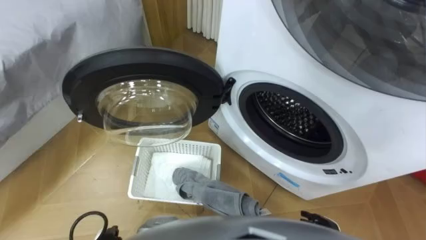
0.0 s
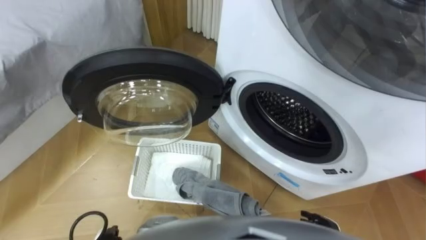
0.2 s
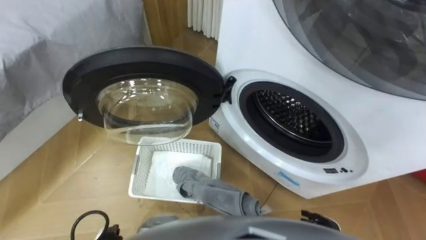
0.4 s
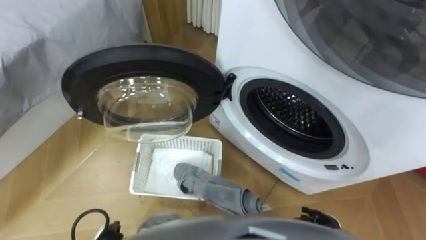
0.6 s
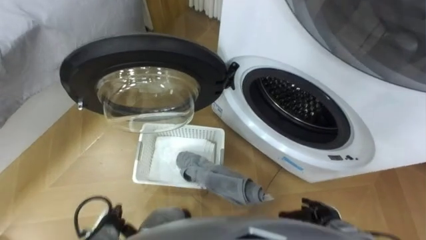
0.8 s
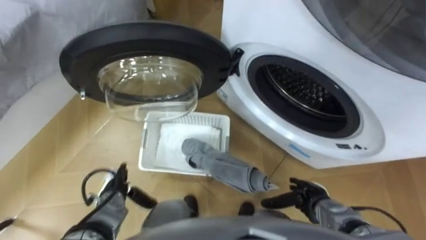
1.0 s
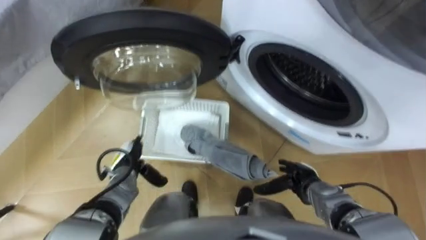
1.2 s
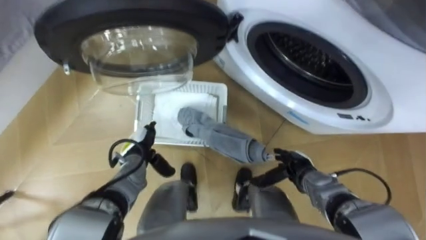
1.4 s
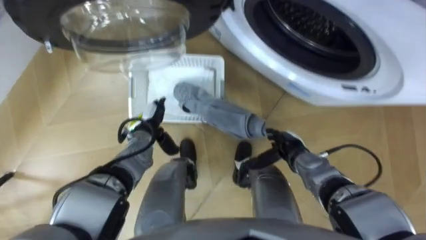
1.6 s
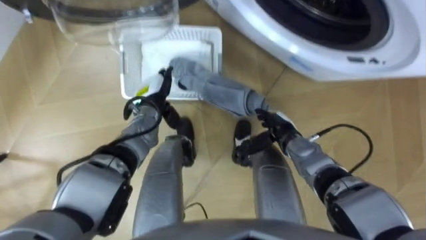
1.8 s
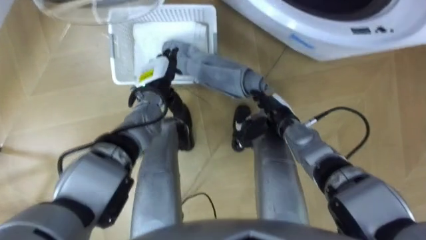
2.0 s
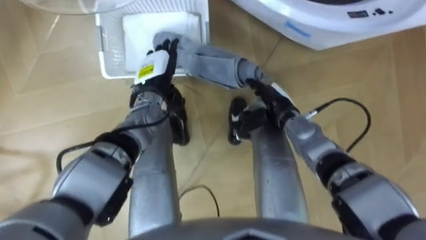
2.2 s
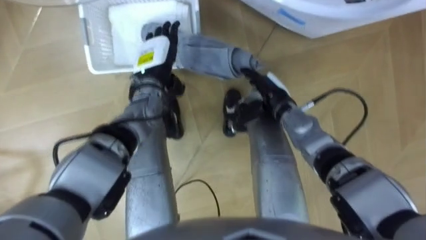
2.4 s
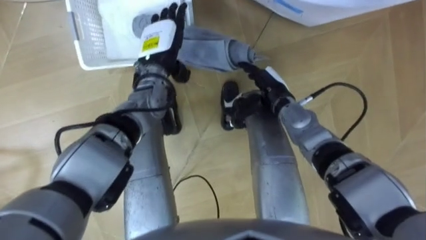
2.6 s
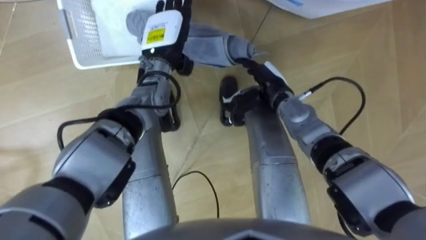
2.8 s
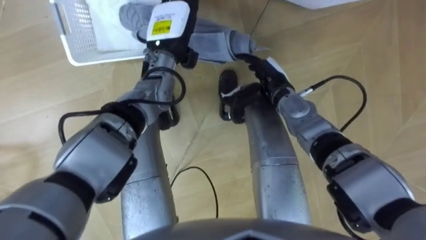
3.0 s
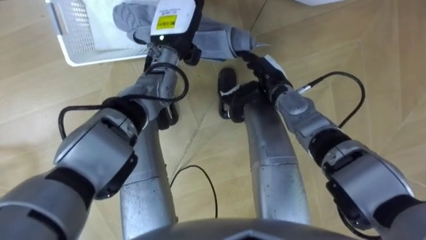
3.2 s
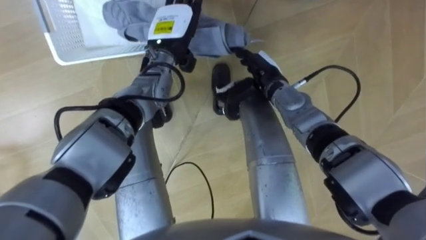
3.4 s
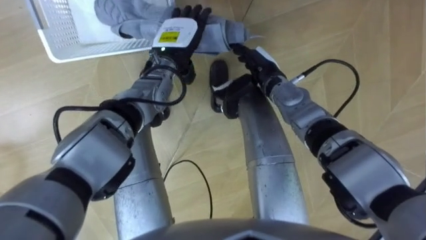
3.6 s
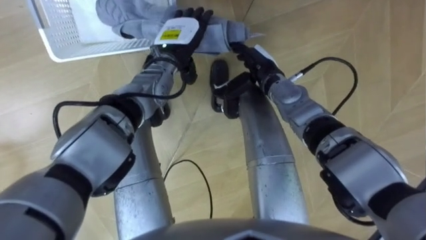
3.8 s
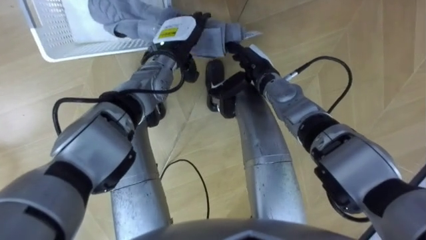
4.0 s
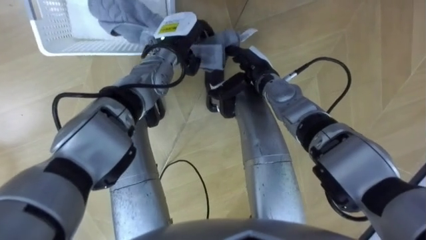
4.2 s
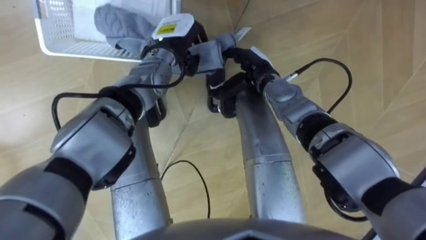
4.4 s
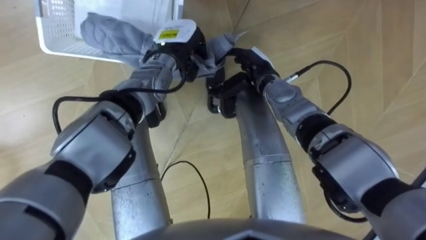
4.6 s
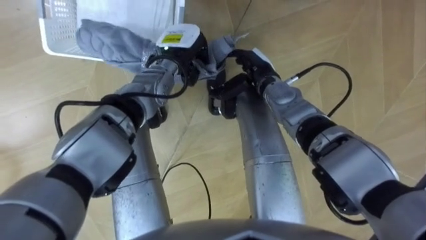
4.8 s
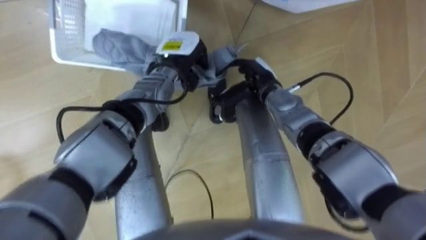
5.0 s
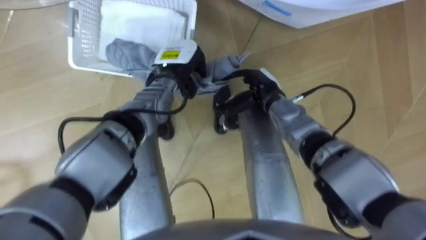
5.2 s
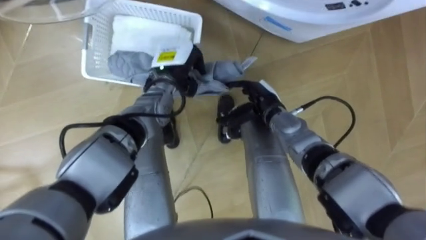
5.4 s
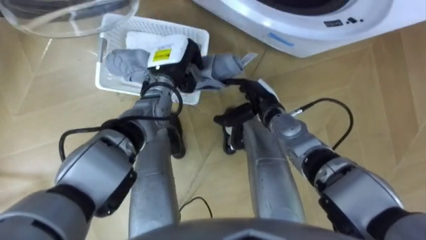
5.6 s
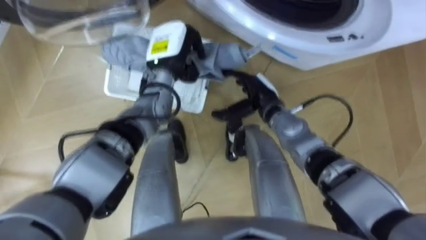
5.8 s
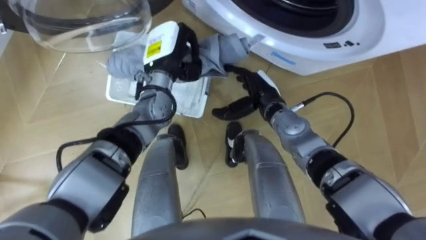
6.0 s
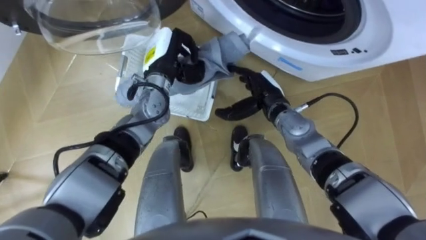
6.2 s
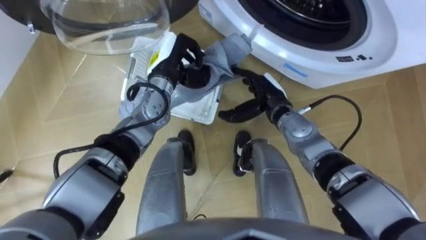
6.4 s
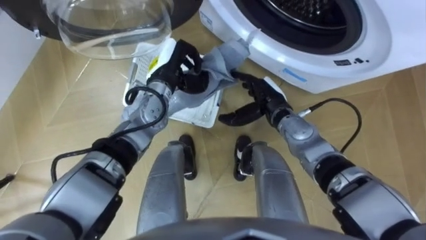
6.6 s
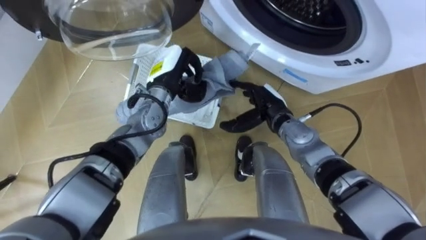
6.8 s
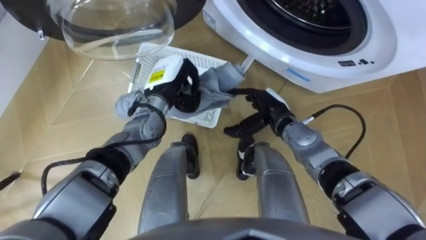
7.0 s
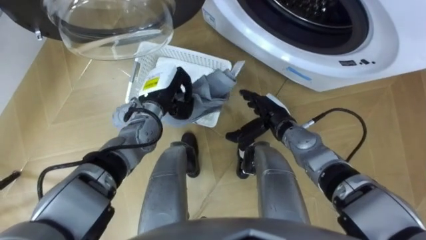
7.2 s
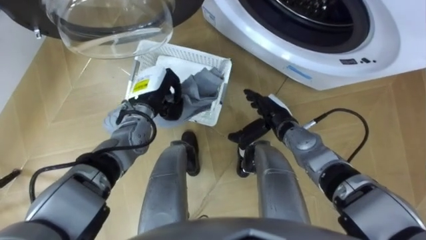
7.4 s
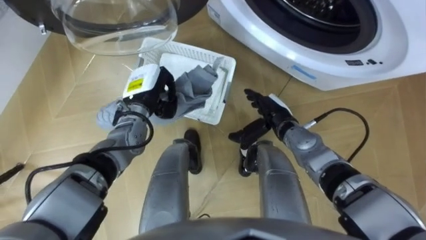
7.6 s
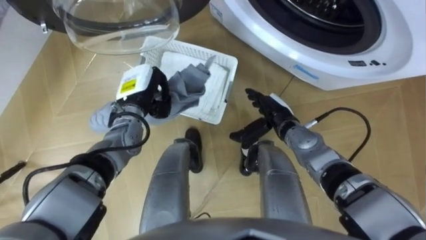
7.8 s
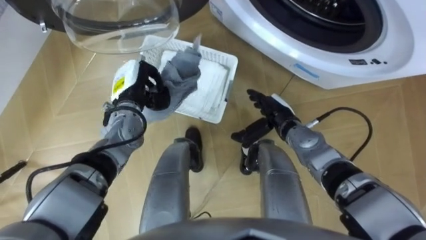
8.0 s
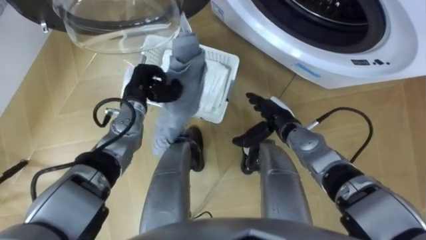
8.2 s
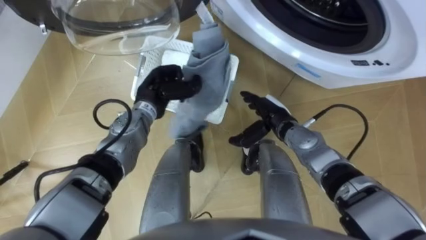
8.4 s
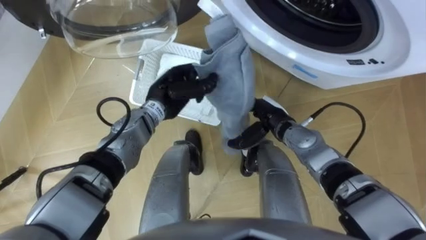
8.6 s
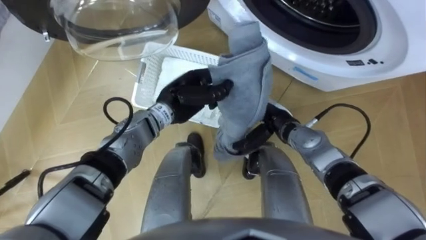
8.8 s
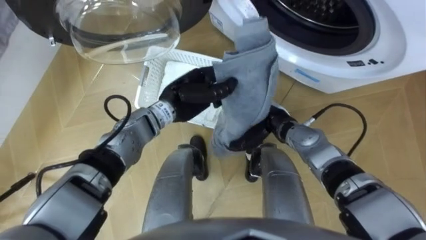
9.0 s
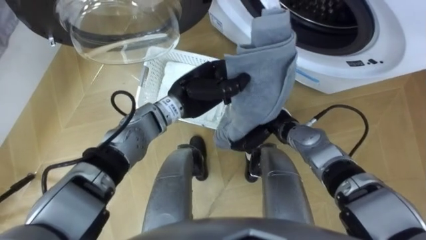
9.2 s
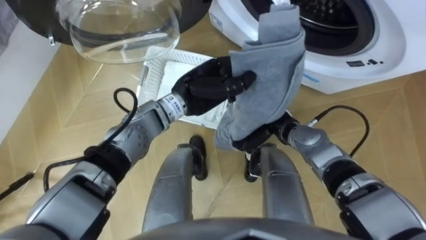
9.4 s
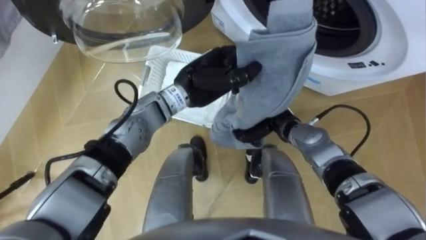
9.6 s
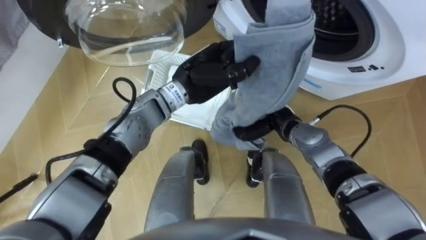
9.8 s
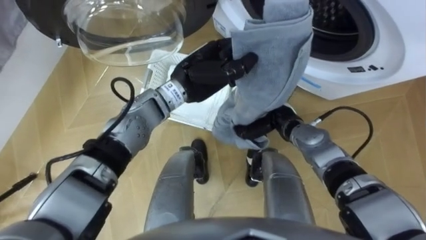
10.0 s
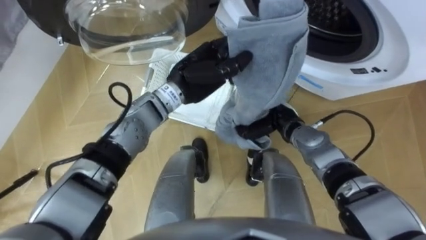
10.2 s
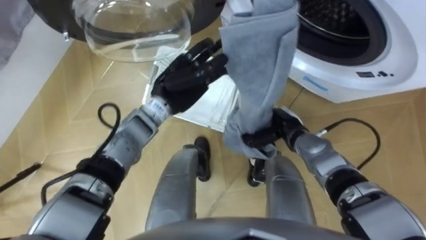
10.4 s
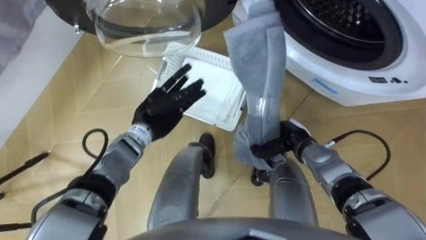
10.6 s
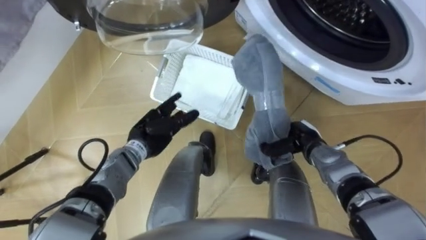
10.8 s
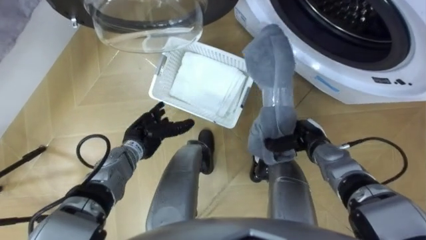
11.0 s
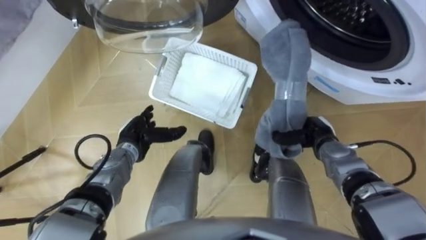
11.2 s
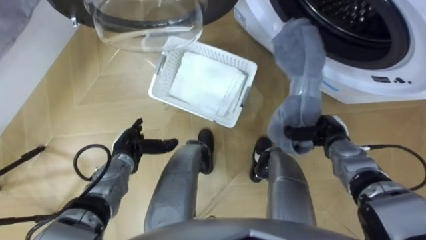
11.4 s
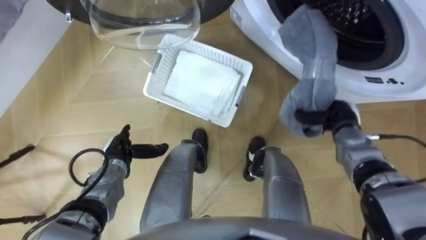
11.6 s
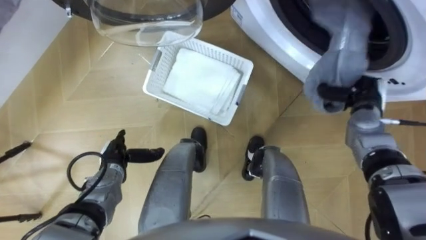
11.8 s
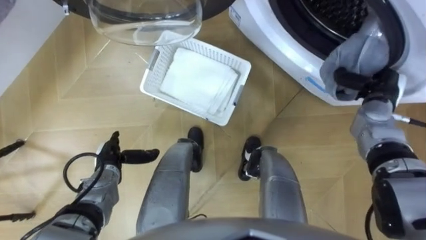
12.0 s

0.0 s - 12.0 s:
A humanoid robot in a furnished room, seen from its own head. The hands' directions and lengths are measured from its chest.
Task of the whole recording: Take the towel from the basket and put it into the washing machine.
1.6 s - 3.0 s: The left hand heads upward, forward and to the right, covering roughly 20 cm; the right hand travels forward, upward and to the left by about 20 cm.
3.0 s - 4.4 s: The left hand closes its fingers.
4.4 s - 6.0 s: The right hand shifts by some 5 cm.
6.0 s - 7.6 s: The right hand changes place by roughly 5 cm. The left hand goes some 10 cm downward and to the left.
7.6 s - 9.0 s: The left hand moves to the right, about 10 cm.
9.0 s - 10.4 s: The right hand closes up, while the left hand opens.
10.4 s - 12.0 s: The left hand goes approximately 25 cm to the left, downward and backward, and opens up. The right hand heads to the right and upward, covering some 20 cm.

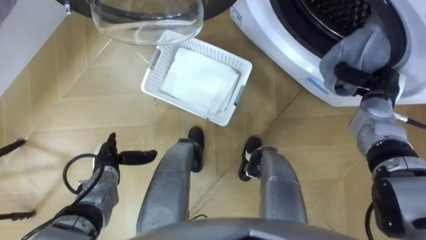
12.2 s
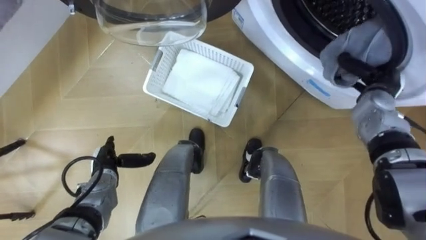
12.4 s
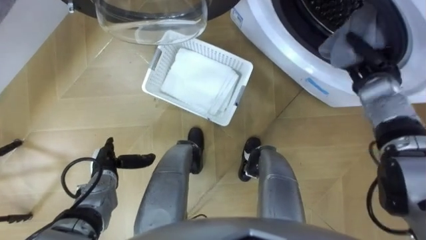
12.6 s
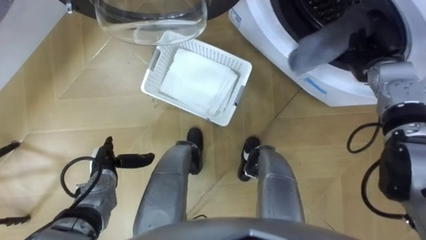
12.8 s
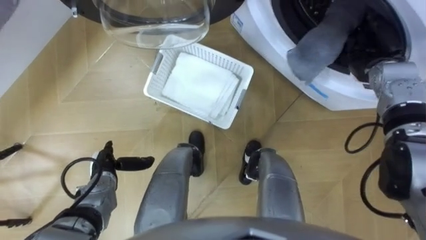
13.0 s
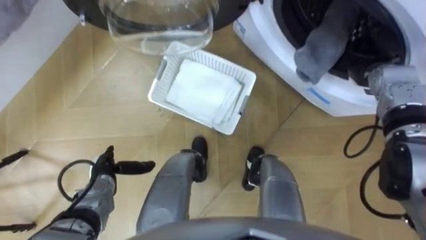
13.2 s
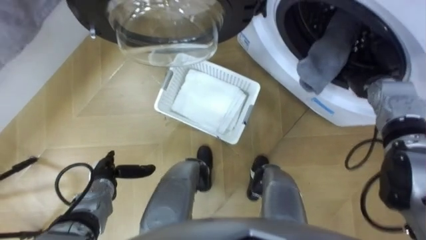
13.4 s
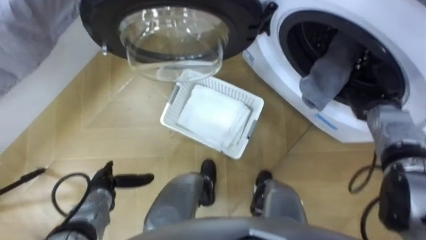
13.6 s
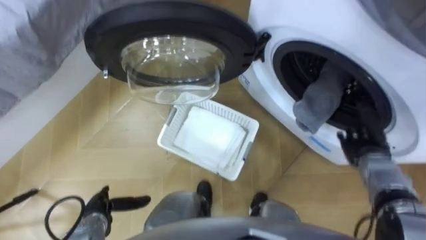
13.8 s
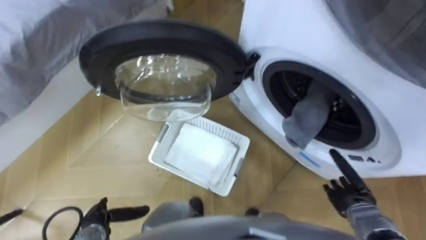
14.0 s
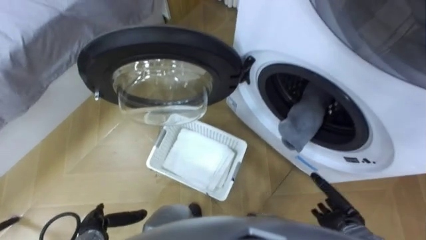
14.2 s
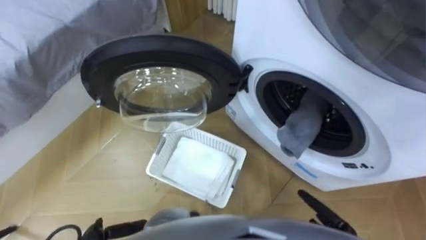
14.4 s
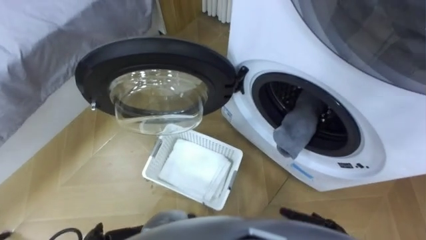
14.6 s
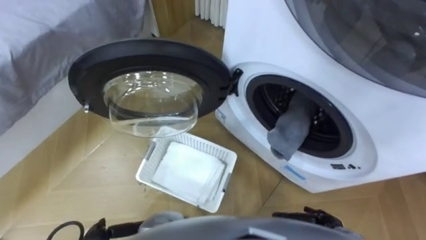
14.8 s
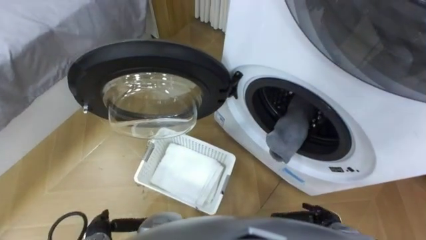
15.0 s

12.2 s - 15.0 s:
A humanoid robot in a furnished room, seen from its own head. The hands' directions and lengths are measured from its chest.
Task of the whole recording: Take the towel from the basket and put it into the washing machine.
12.2 s - 13.6 s: The right hand opens; the left hand heads backward, covering some 5 cm.
13.6 s - 15.0 s: The right hand moves backward and downward, about 30 cm.

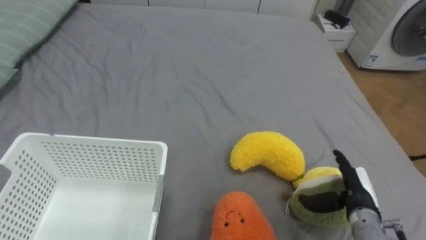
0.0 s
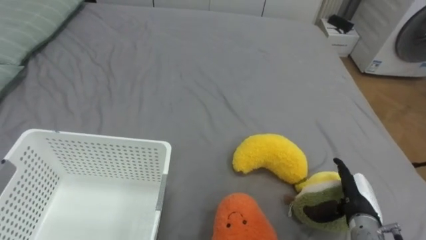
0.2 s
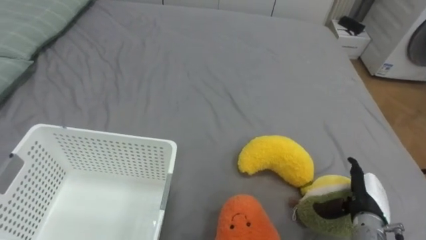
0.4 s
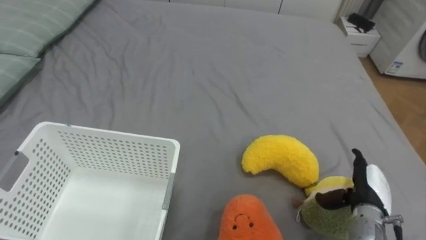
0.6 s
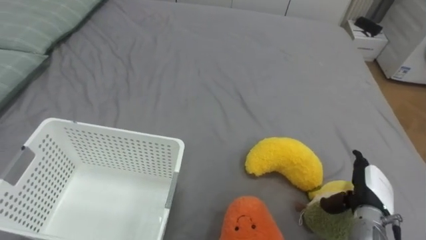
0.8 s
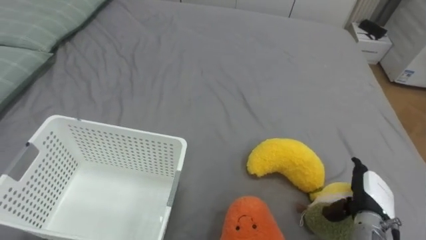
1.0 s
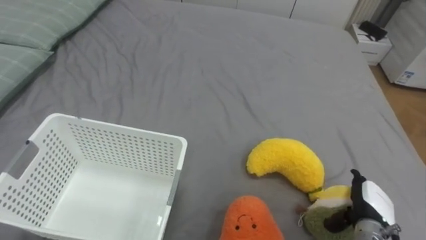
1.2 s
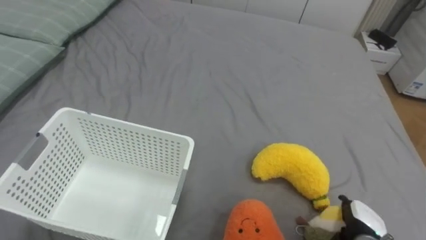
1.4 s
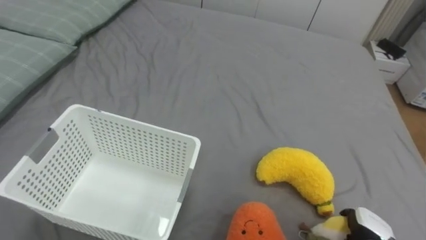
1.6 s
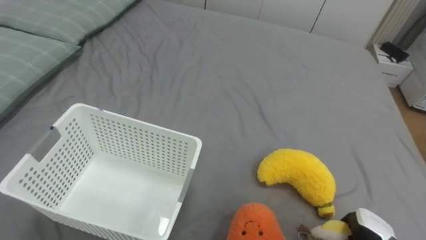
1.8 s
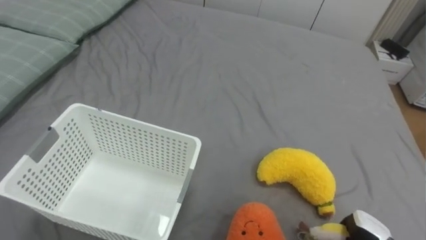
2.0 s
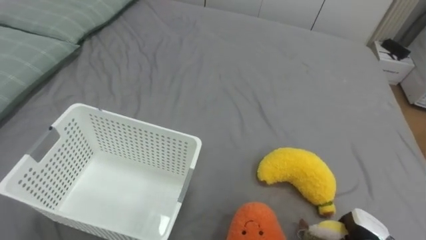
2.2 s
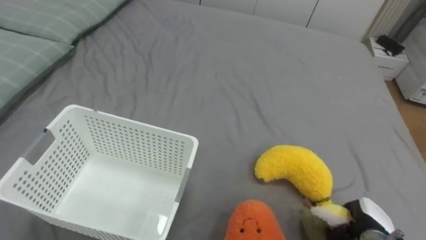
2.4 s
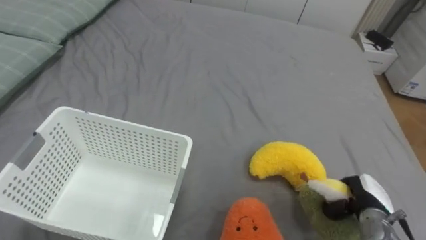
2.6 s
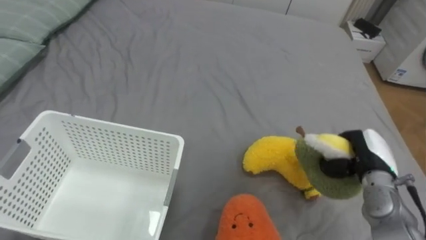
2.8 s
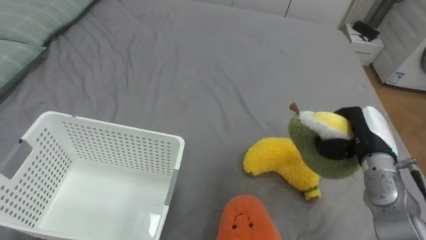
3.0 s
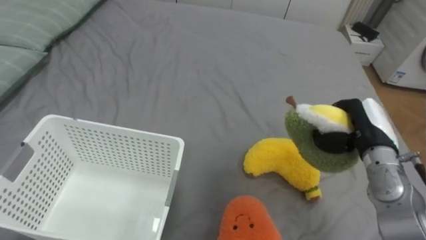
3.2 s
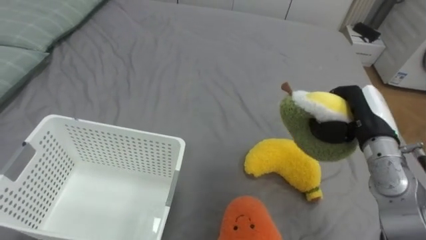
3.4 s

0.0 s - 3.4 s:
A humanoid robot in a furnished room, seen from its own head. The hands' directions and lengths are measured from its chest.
Task of the whole recording: Put the toys on the bed into the basket on the left.
0.0 s - 1.6 s: The right hand shifts some 10 cm downward and backward.
1.6 s - 3.4 s: The right hand travels upward and forward by about 25 cm, and closes up.
